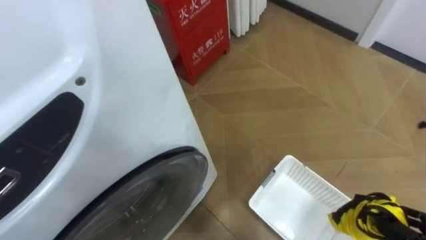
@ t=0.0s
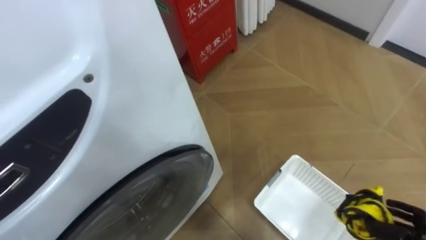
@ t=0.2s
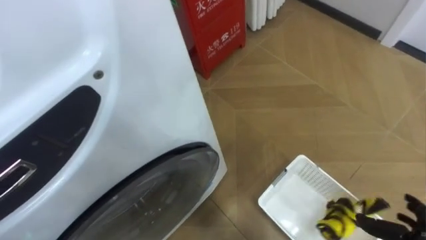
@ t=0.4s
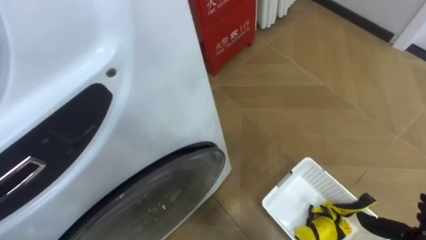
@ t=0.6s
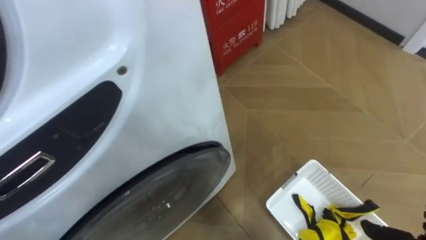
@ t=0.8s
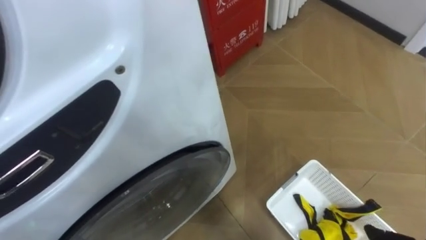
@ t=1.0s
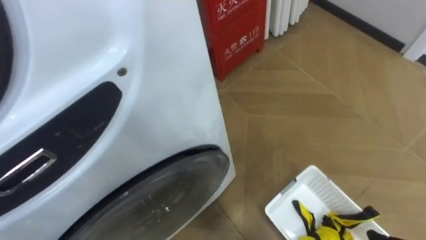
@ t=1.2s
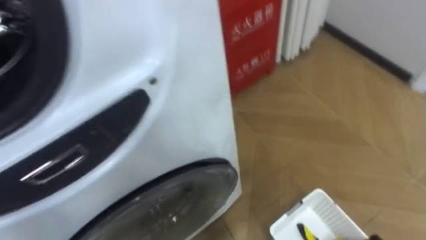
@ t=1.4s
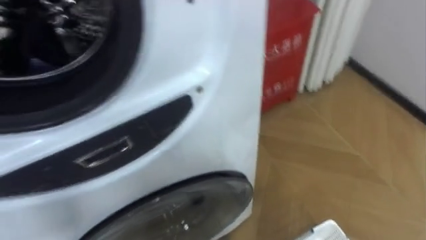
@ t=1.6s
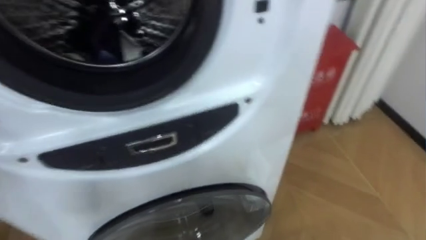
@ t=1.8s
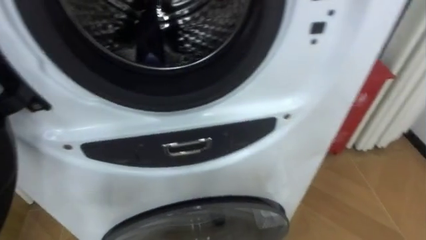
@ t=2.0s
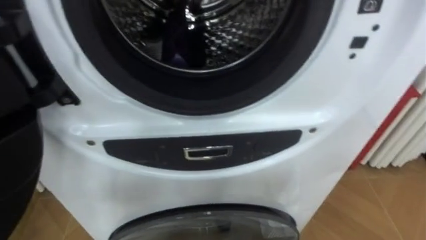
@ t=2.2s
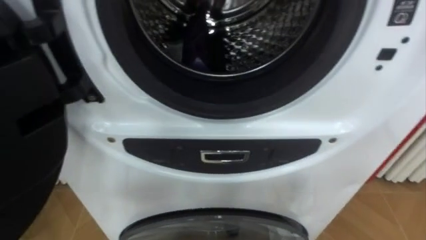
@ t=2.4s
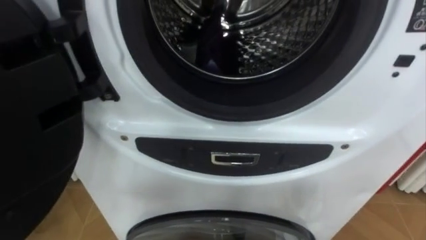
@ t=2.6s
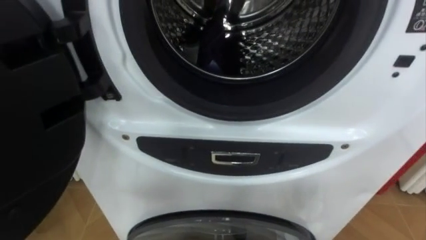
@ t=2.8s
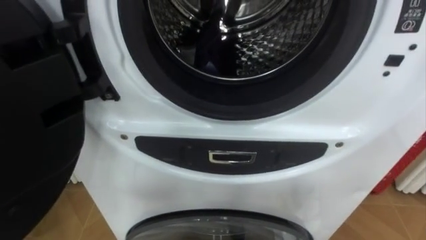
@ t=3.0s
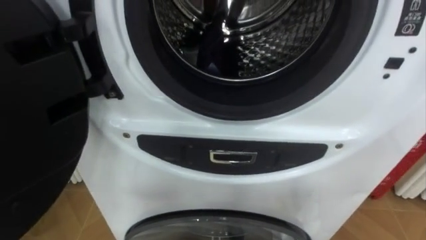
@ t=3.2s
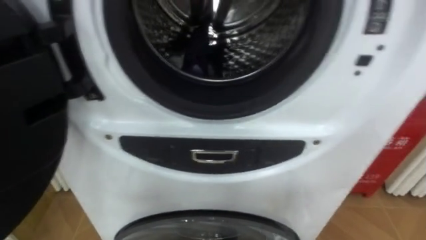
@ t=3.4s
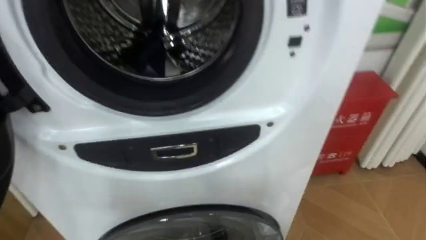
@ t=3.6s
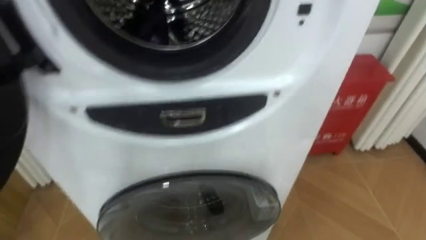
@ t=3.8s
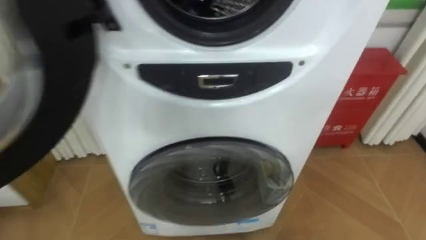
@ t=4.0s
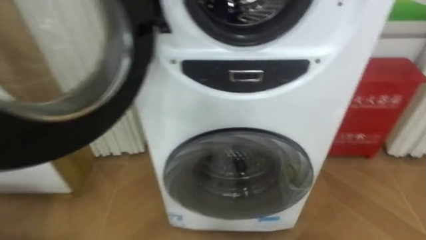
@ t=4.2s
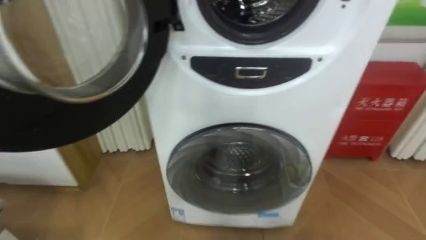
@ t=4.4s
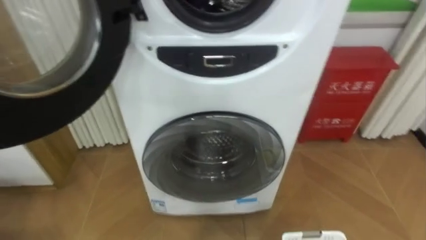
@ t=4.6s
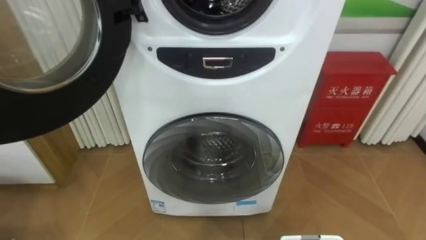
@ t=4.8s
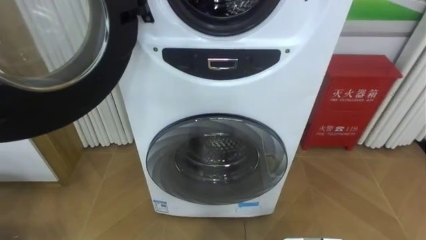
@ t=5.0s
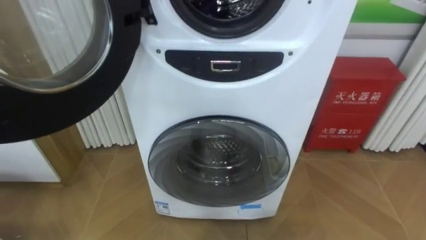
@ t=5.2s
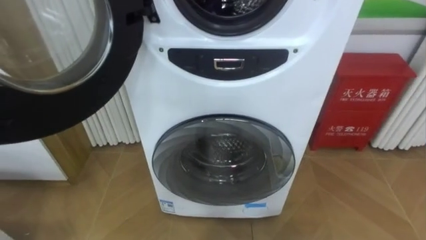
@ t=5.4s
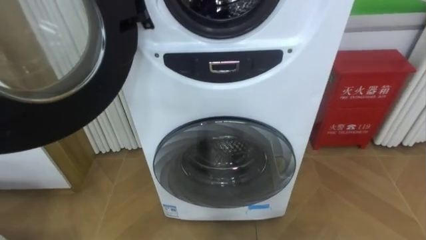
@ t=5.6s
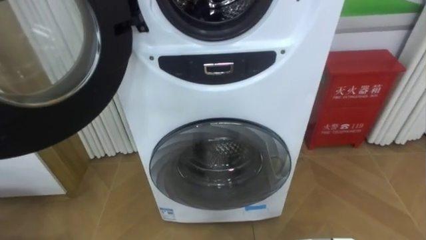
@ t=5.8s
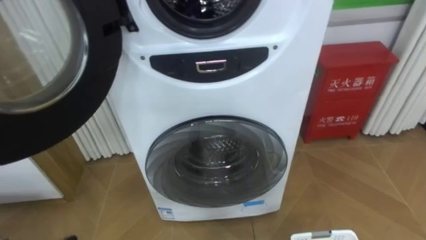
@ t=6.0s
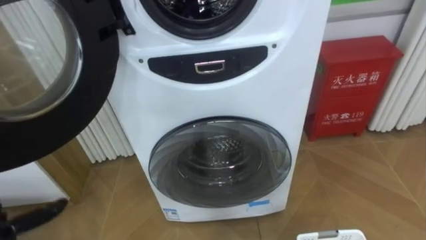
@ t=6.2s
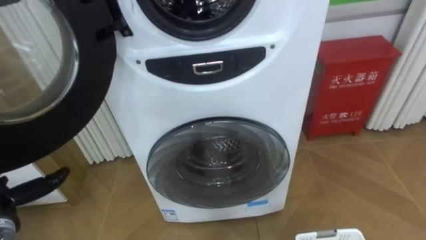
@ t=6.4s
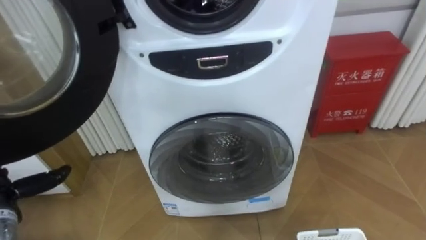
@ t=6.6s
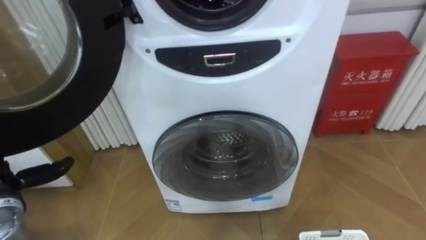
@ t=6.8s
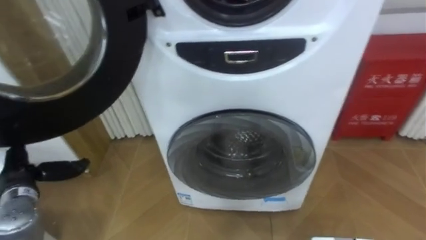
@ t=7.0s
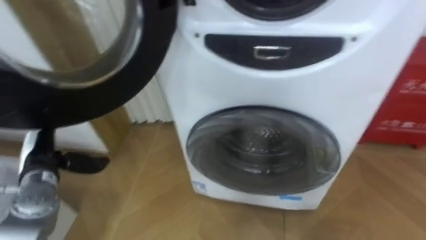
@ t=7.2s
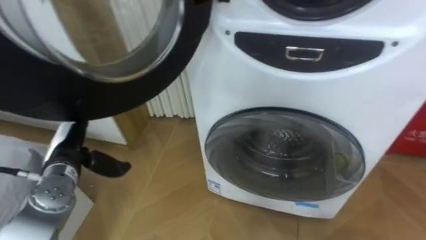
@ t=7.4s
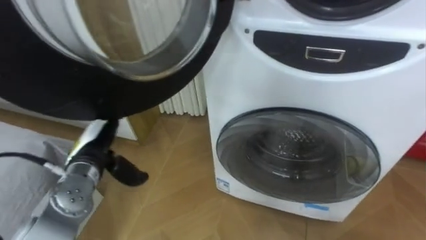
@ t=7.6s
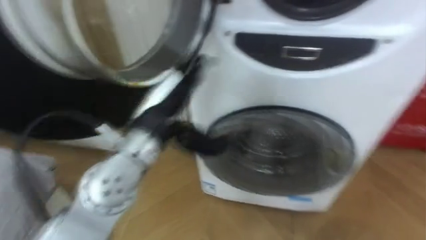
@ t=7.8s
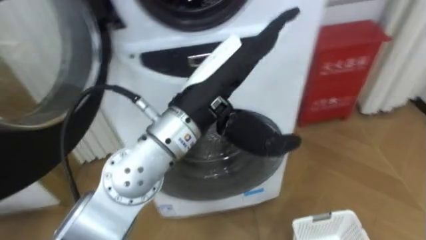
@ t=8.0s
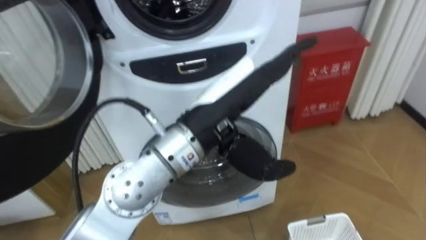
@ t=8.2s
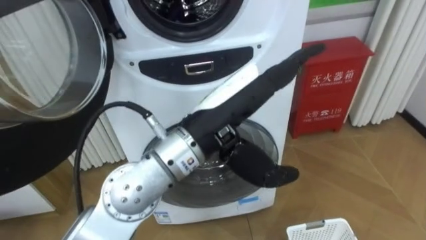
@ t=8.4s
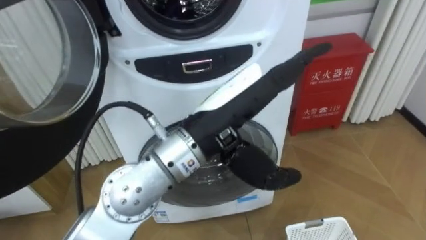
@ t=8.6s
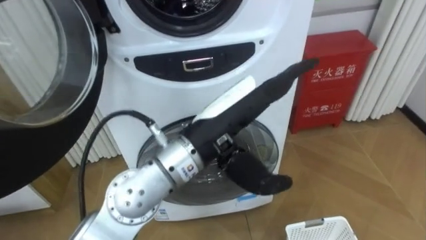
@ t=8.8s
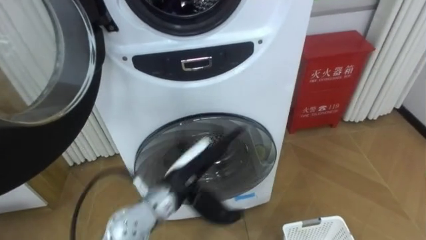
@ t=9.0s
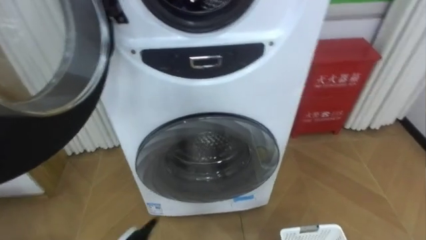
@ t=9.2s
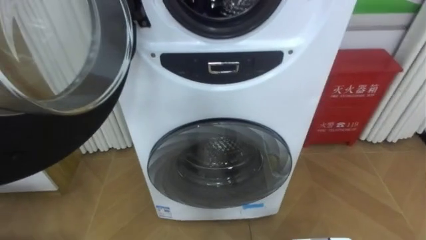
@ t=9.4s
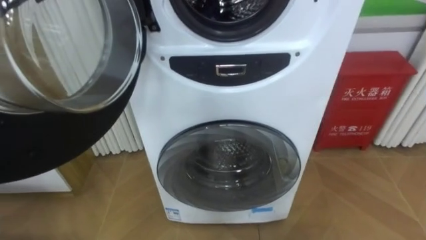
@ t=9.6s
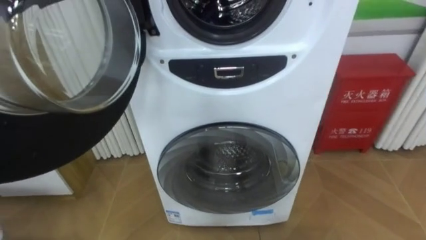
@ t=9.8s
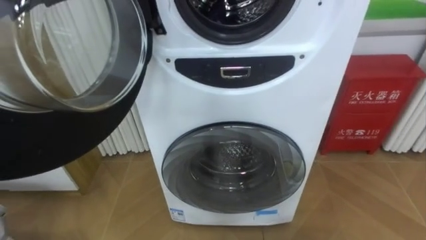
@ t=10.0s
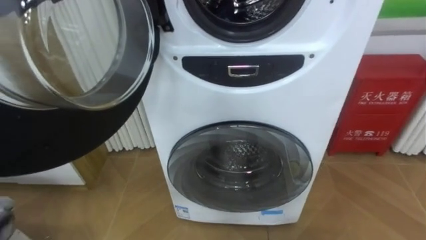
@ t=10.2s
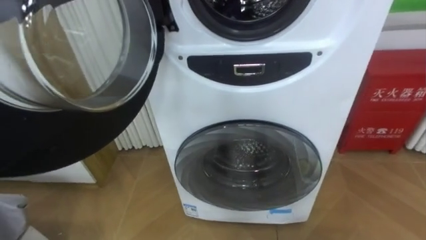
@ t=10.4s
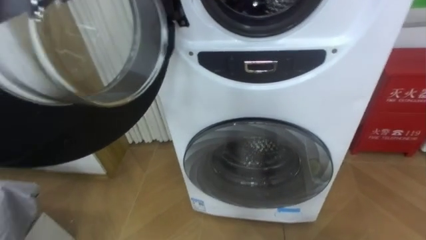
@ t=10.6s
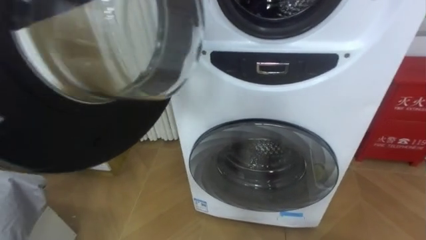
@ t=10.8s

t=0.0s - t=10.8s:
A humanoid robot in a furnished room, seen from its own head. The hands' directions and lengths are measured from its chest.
Task of the whole recording: Open the washing machine door, take out the yellow clothes, place them in the box on the right, and close the washing machine door.
t=6.2s - t=7.8s: The robot rotates some 15 degrees to its left.
t=7.8s - t=9.2s: The left hand shifts roughly 25 cm downward.

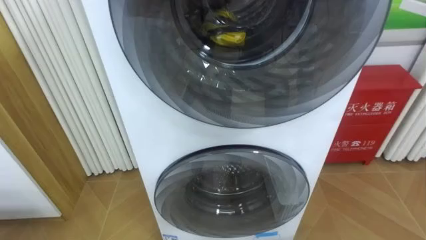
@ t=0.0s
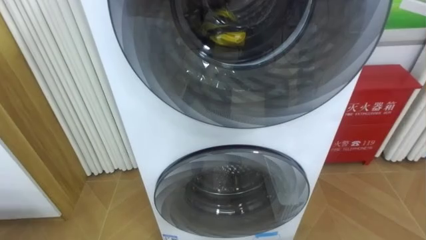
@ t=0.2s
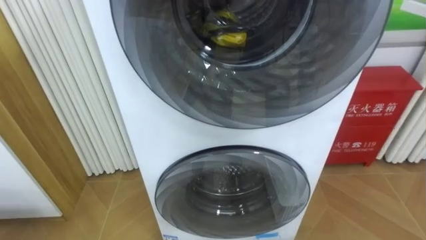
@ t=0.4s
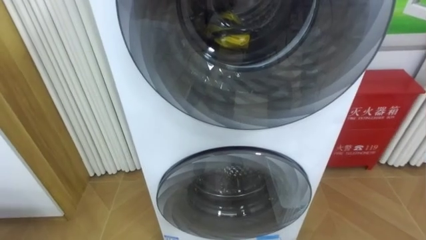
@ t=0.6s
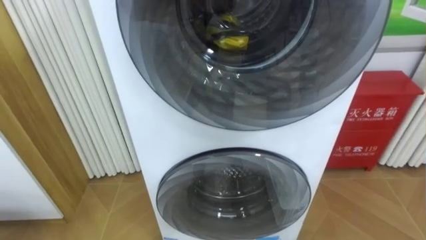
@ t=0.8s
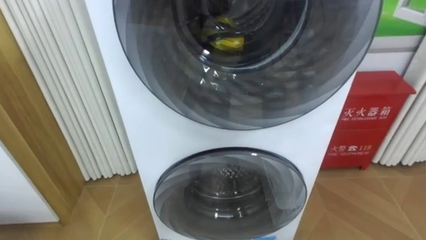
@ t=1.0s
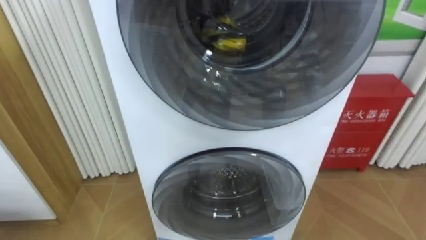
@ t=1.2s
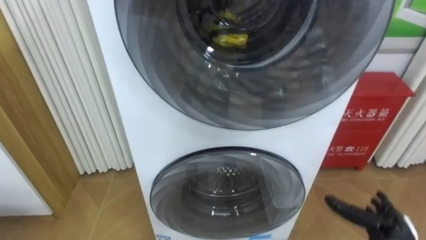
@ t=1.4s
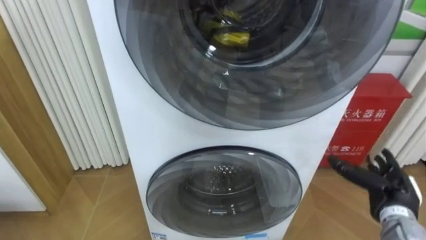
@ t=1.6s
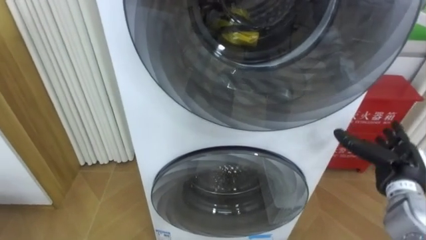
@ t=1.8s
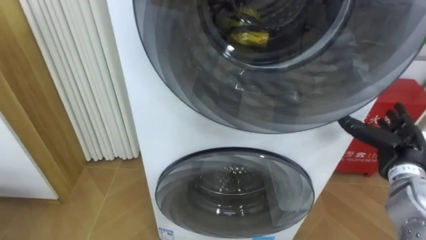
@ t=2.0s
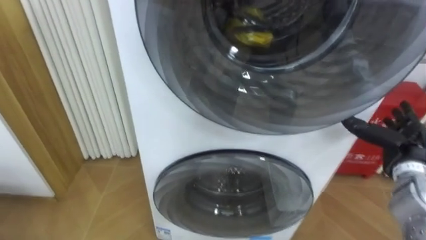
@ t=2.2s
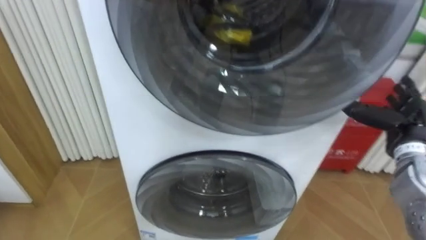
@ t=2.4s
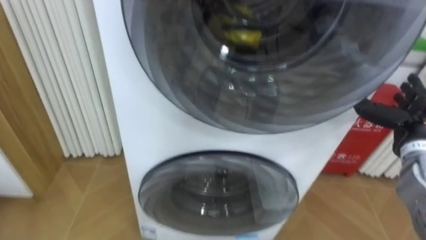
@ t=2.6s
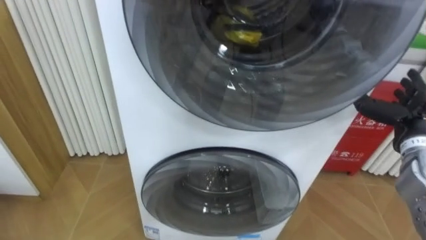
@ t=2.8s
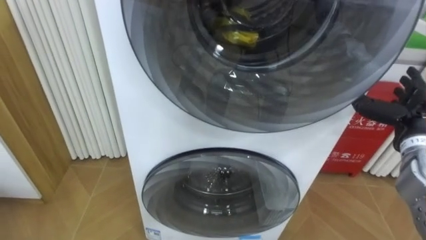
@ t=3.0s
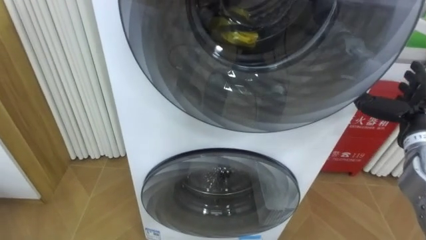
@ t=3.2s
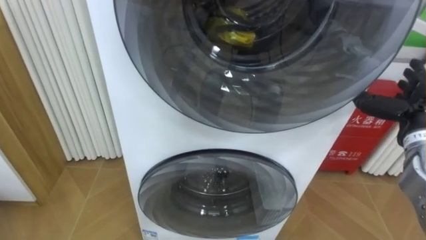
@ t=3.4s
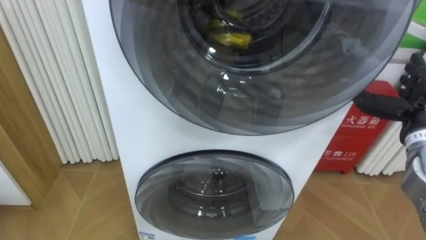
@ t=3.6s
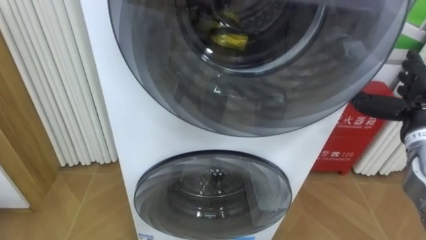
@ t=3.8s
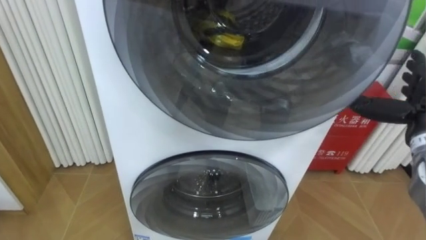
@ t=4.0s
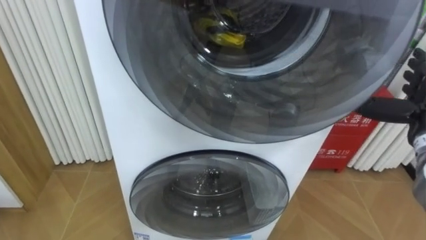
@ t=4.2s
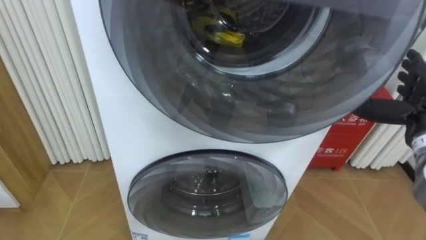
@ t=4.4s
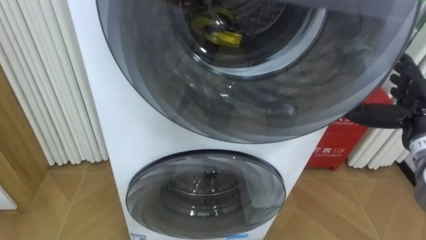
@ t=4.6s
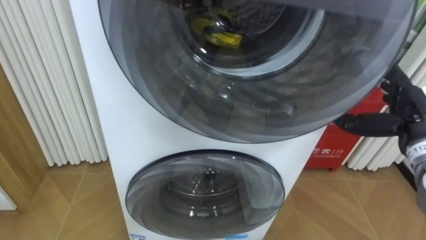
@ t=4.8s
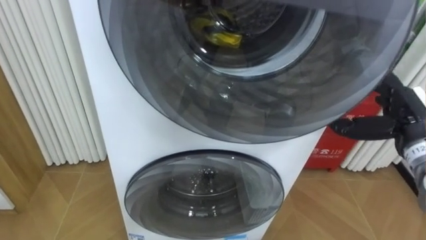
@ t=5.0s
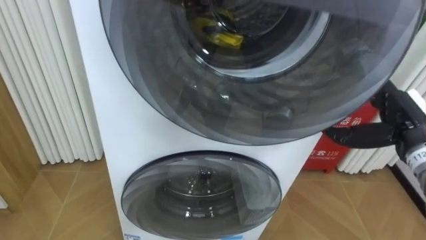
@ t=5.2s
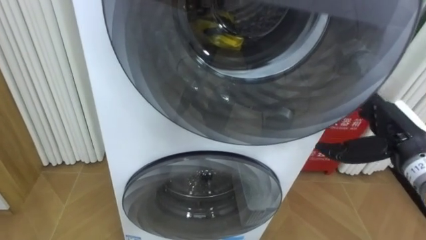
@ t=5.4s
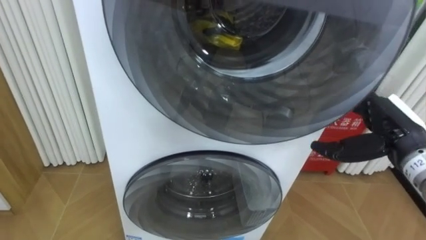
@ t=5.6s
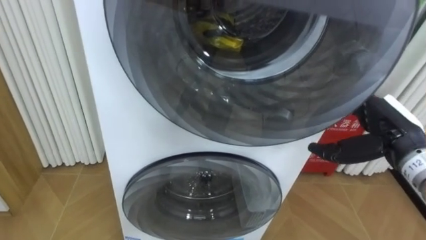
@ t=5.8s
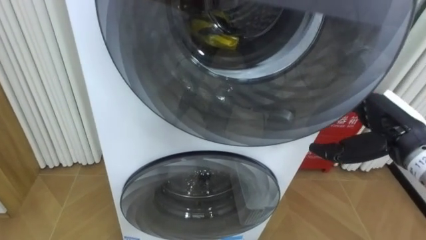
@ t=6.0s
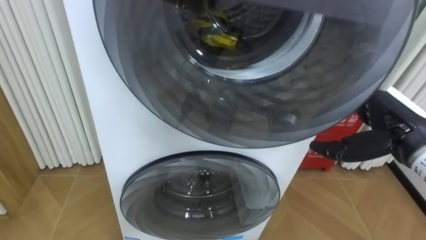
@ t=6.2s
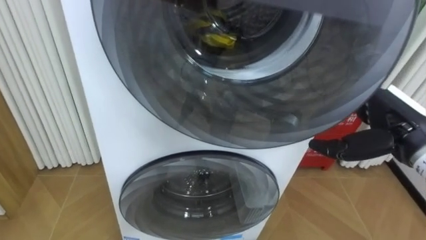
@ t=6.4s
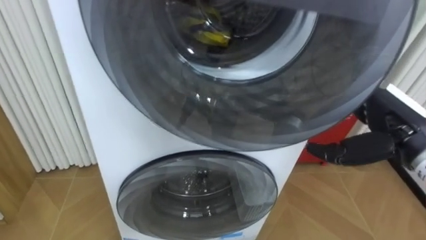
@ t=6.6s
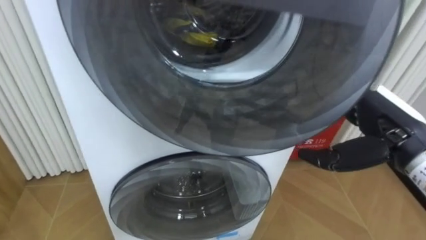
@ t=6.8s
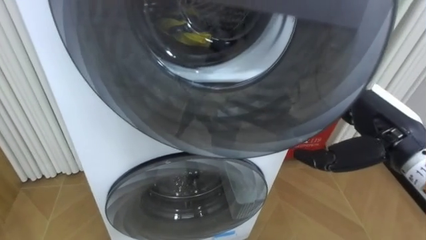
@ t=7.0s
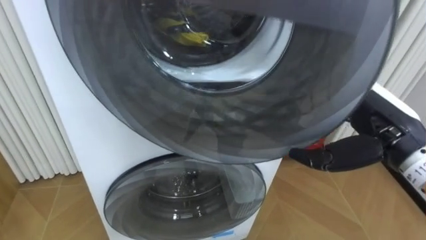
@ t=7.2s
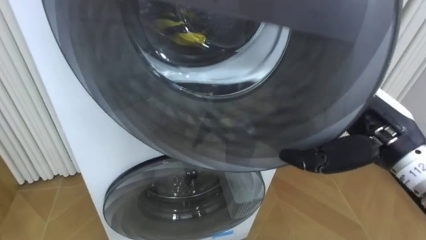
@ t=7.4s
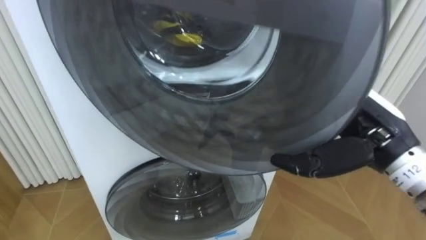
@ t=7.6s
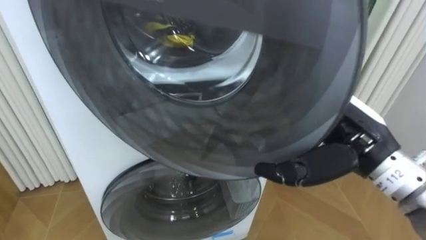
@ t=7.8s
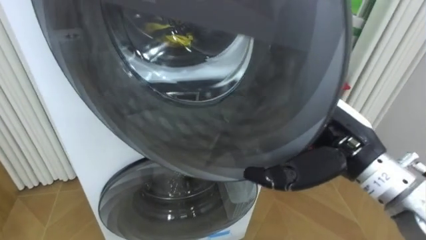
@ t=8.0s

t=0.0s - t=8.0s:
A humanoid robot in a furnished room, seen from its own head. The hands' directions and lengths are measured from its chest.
Task of the whole recording: Open the washing machine door, take out the yellow clothes, place them in the box on the right, and close the washing machine door.
t=1.6s - t=3.2s: The right hand travels upward and forward by roughly 15 cm.
t=4.8s - t=6.4s: The right hand ends up approximately 5 cm from where it was.
t=6.4s - t=8.0s: The right hand heads to the left, covering approximately 10 cm.
